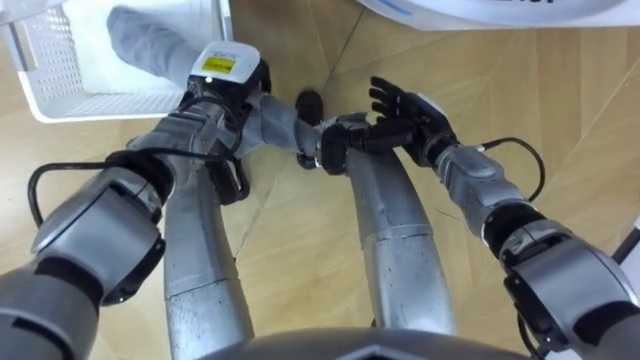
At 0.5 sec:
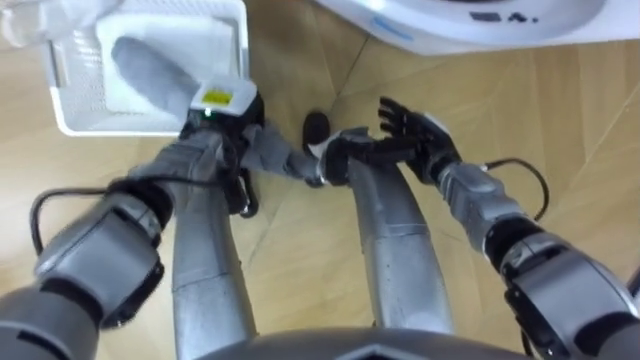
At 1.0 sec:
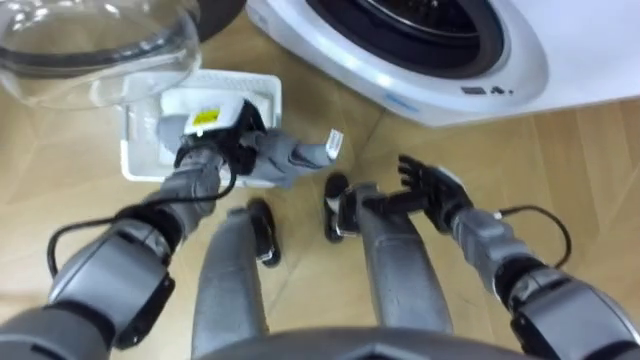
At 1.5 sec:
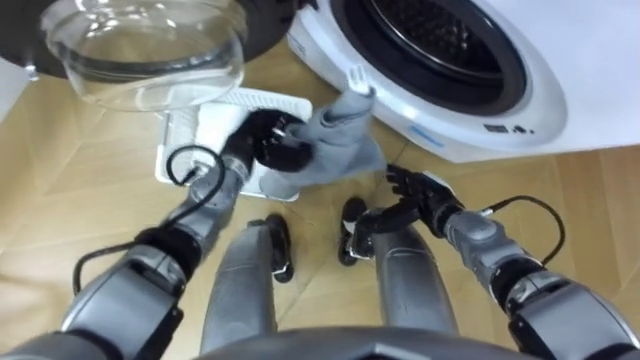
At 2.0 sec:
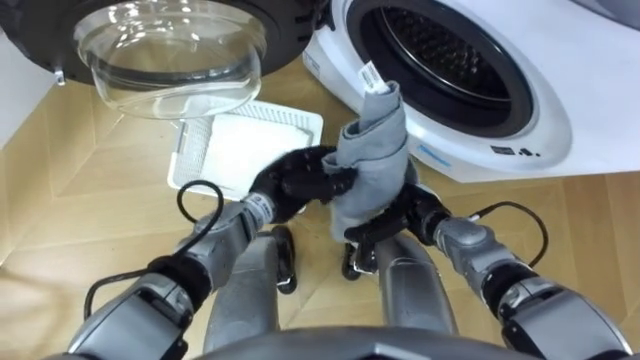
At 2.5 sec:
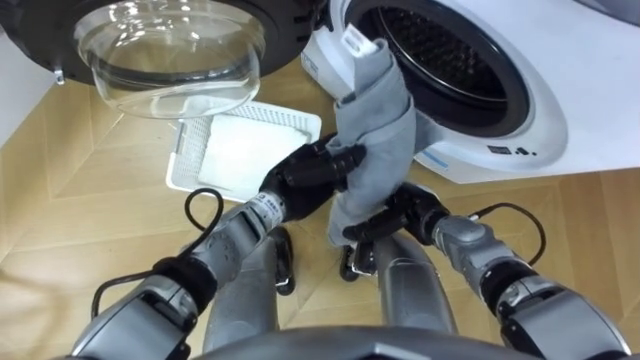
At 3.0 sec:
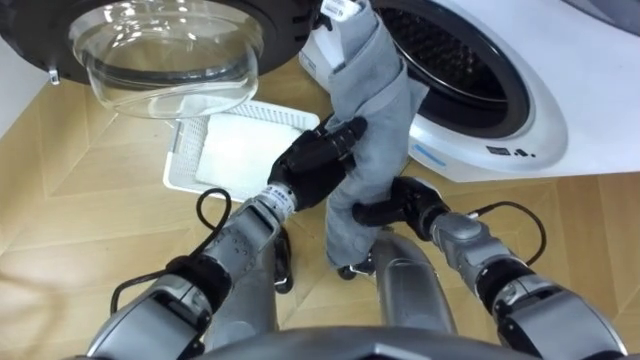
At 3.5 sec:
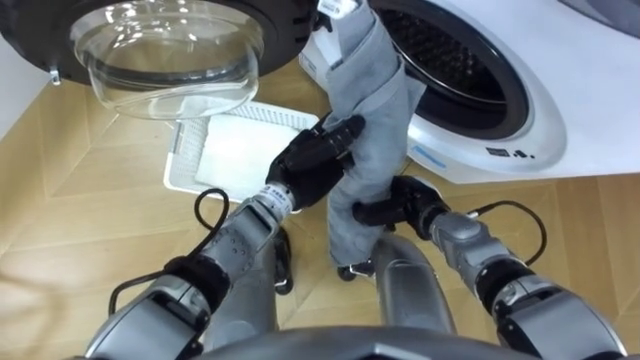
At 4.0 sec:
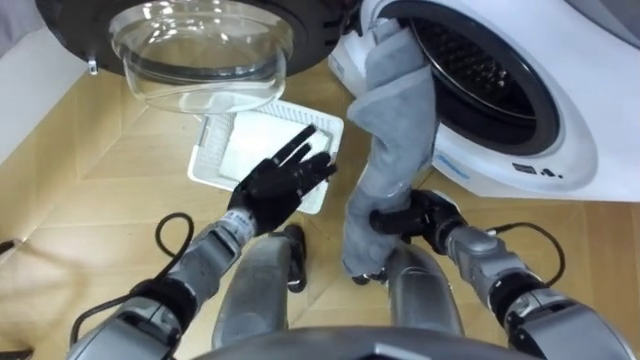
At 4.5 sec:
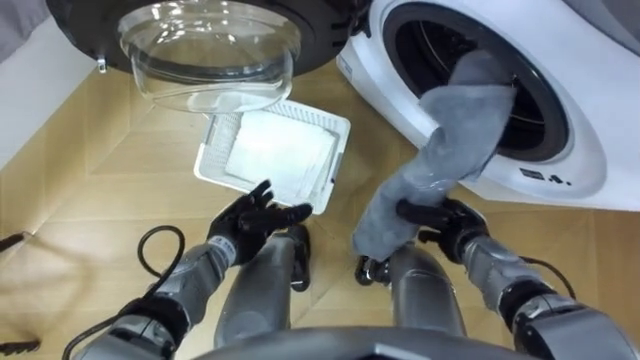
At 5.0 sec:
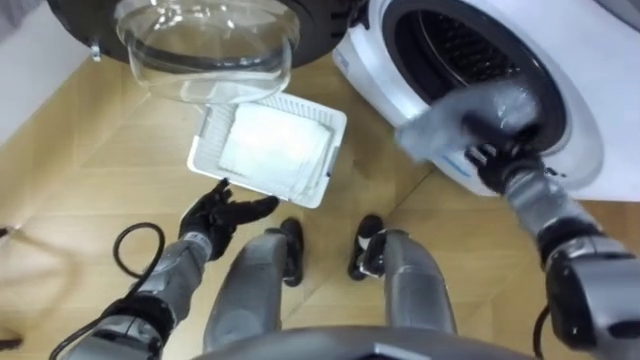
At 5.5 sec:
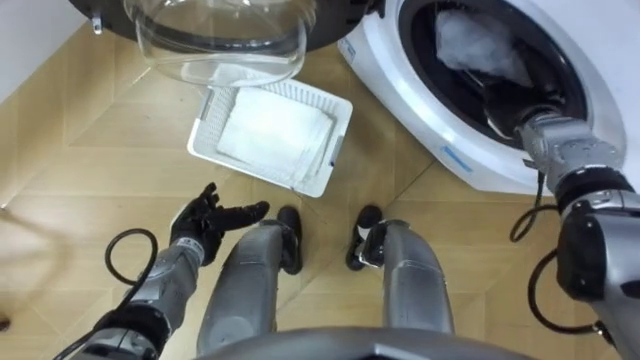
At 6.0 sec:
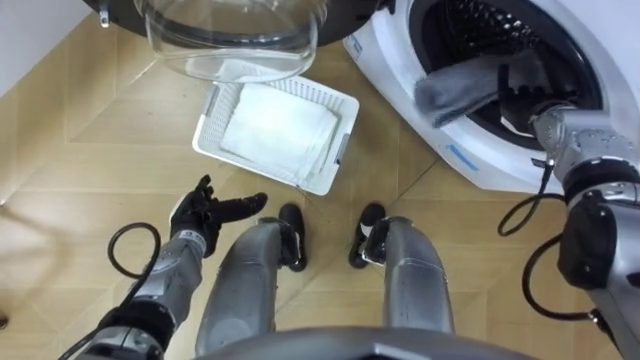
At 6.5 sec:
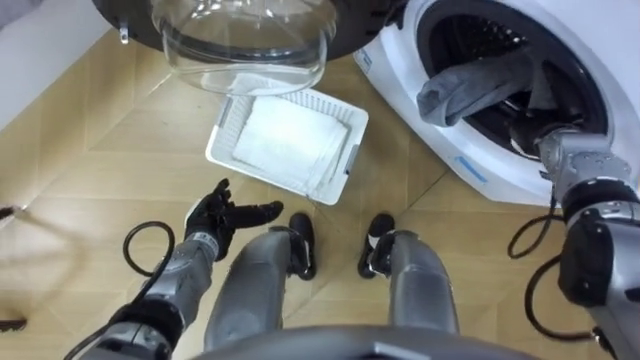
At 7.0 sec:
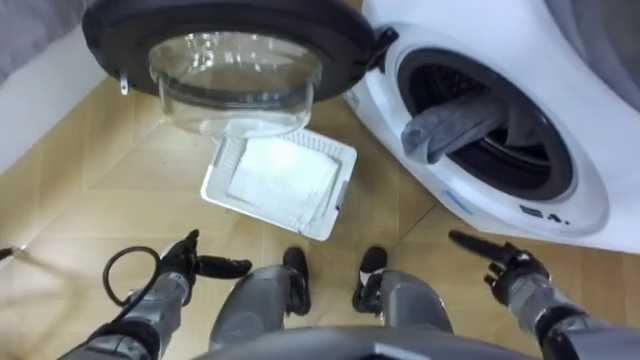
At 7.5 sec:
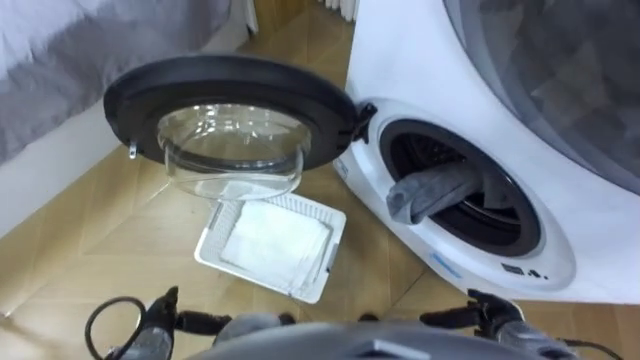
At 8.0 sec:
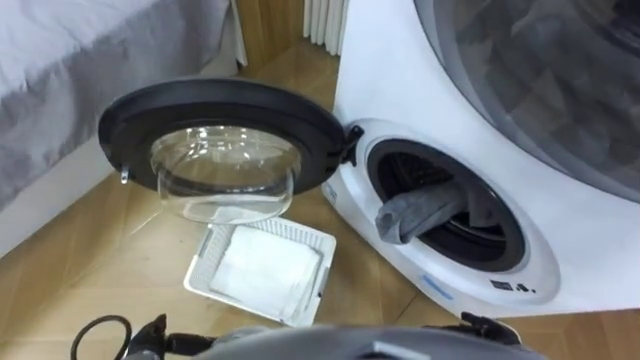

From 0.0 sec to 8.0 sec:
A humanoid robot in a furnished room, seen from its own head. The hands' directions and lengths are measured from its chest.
Task of the whole recording: Take the towel from the basket and put it into the washing machine.
From 0.0 sec to 2.0 sec: The right hand heads backward and downward, covering roughly 10 cm. Meanwhile the left hand goes some 15 cm backward, to the right and downward.
From 2.0 sec to 4.0 sec: The left hand opens up, while the right hand closes.
From 4.0 sec to 6.0 sec: The left hand travels to the left and downward by approximately 15 cm. Meanwhile the right hand heads to the right, forward and upward, covering roughly 20 cm, and opens up.
From 6.0 sec to 8.0 sec: The right hand is displaced backward and downward by roughly 35 cm; the left hand travels backward by some 20 cm.

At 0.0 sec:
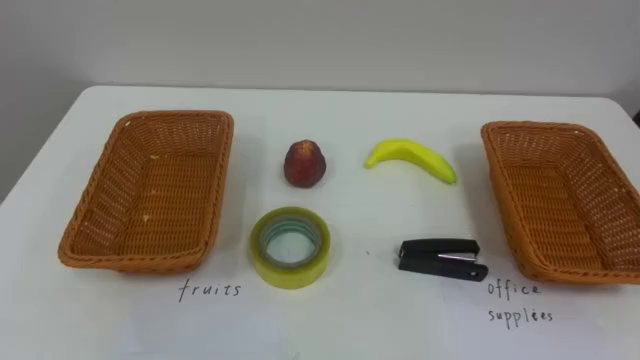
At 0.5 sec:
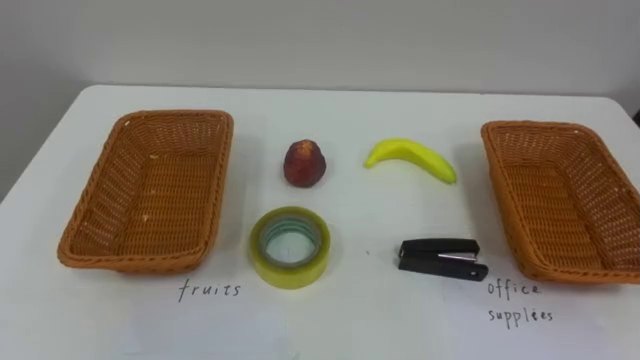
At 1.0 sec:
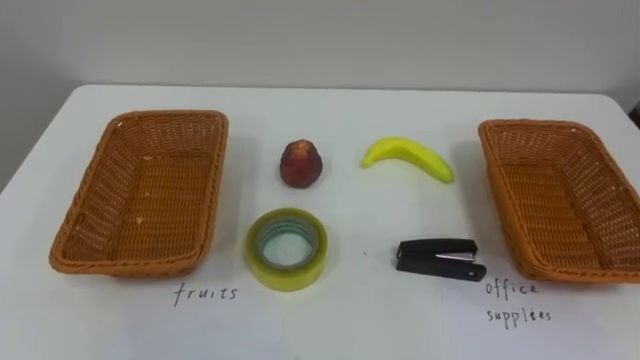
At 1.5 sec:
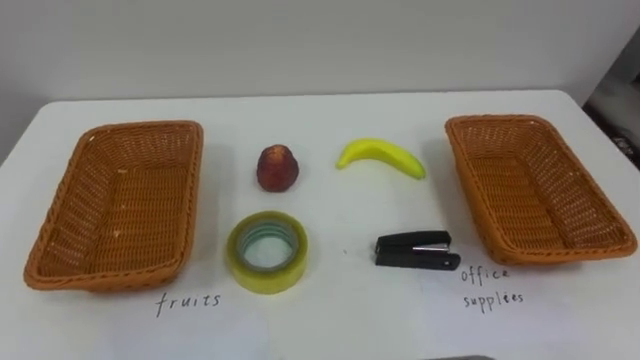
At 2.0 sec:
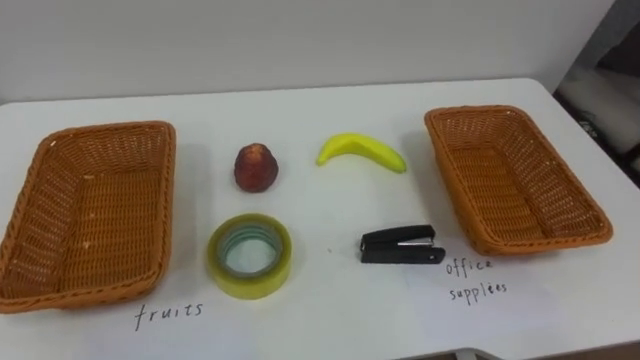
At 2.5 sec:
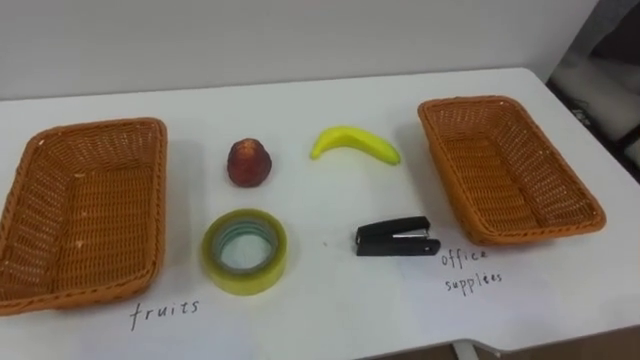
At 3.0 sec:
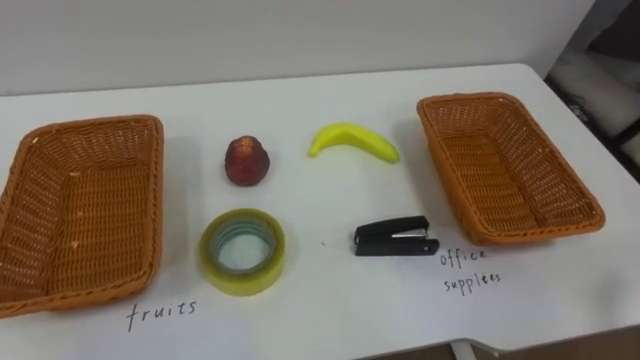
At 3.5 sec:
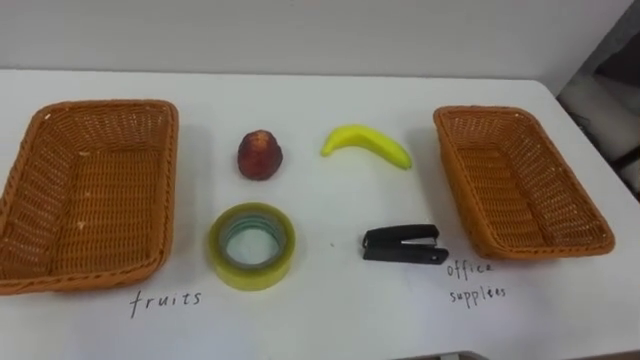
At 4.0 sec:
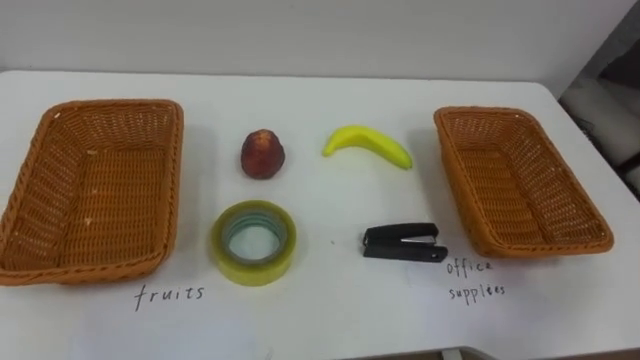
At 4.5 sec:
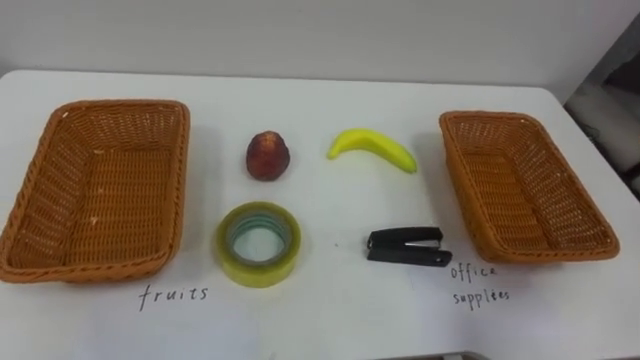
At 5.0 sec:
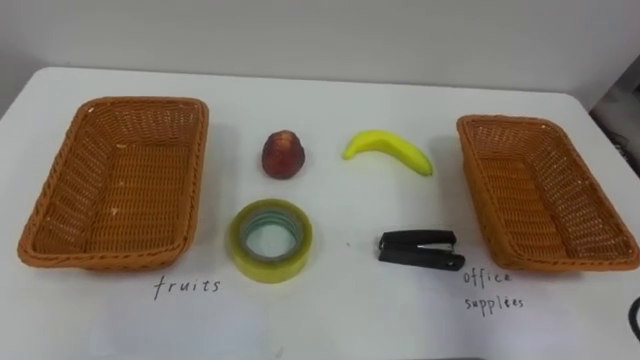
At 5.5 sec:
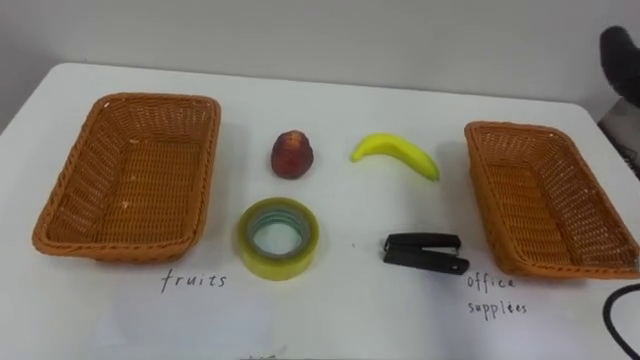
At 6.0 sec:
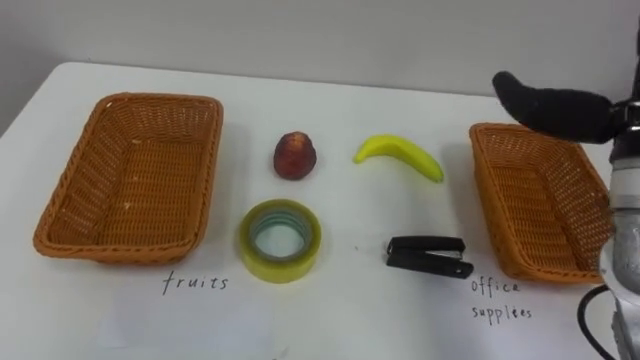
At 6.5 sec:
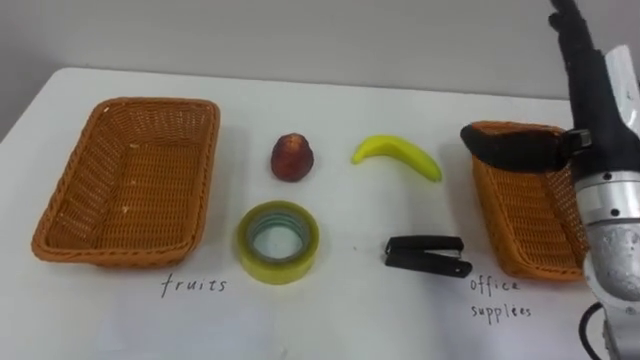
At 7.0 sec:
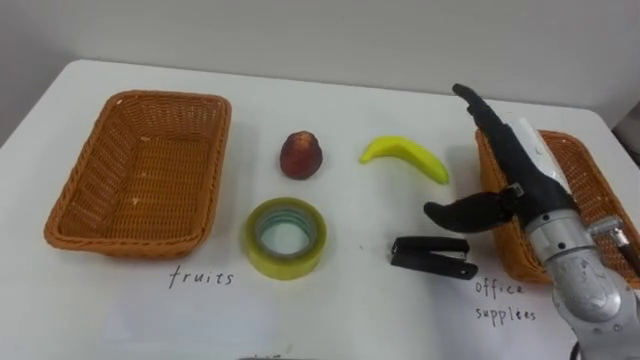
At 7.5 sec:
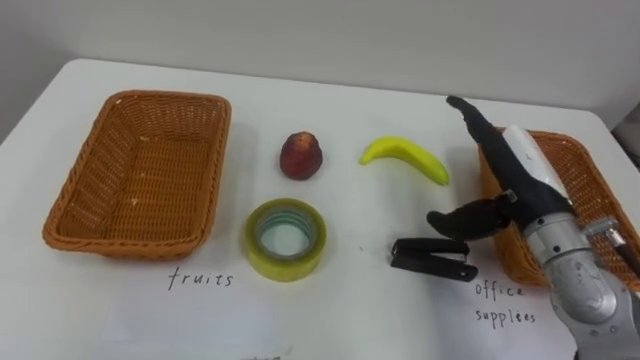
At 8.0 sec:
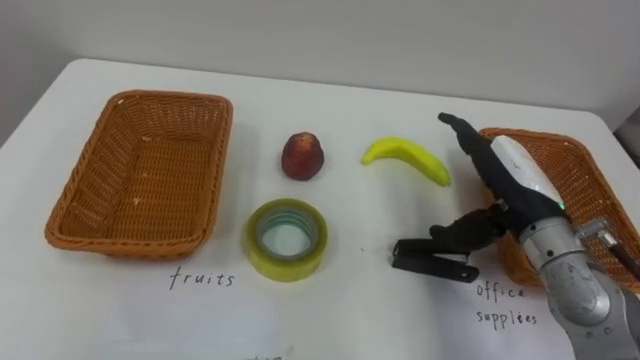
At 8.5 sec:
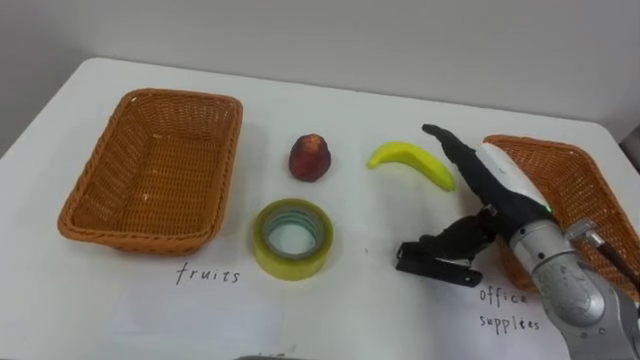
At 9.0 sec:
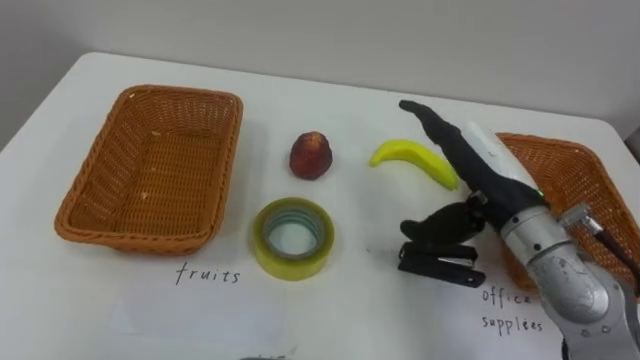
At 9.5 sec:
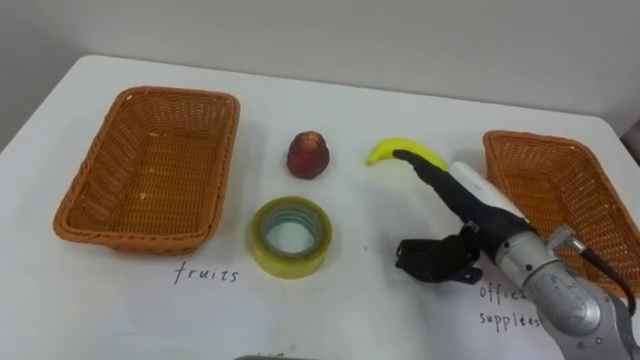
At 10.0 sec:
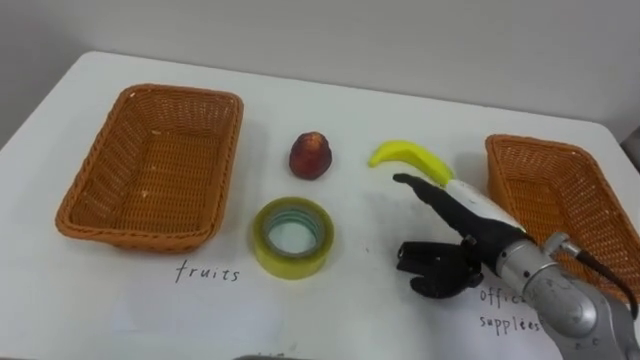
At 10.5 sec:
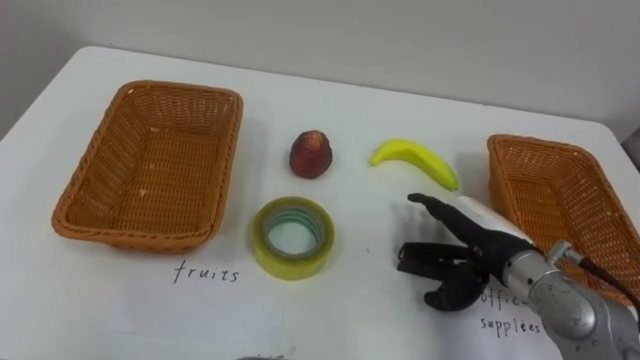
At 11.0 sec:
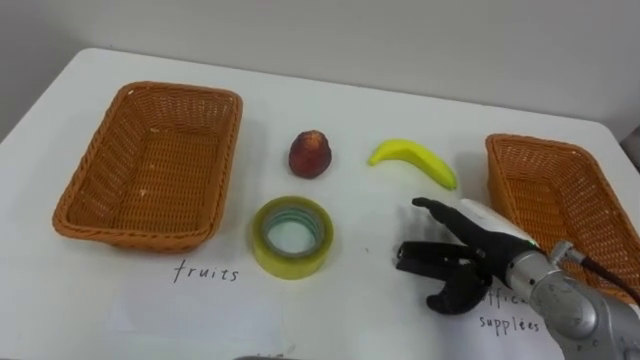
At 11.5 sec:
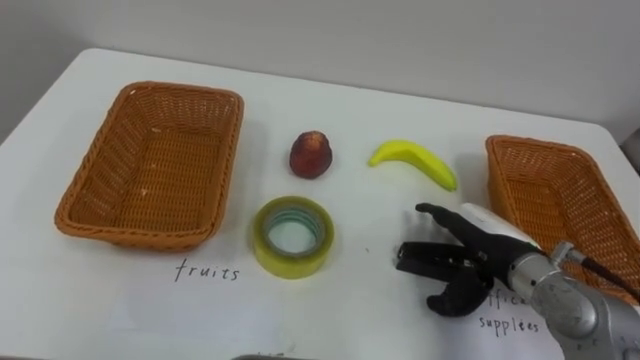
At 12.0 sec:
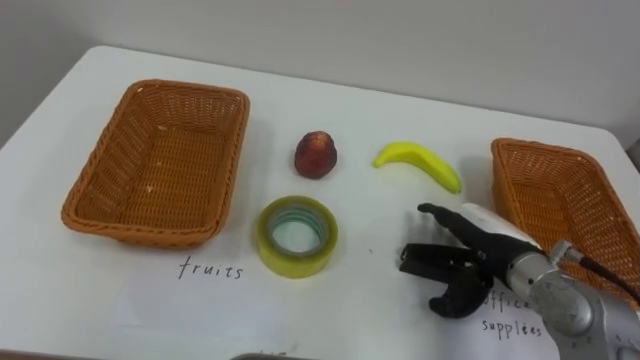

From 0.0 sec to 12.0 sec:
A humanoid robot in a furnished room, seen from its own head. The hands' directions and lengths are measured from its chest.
Task of the whole recording: Separate the items on the table and place them into the two baskets.
From 8.0 sec to 10.0 sec: The right hand shifts by approximately 5 cm.
